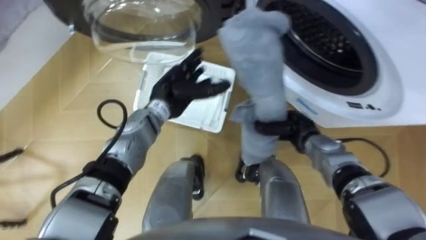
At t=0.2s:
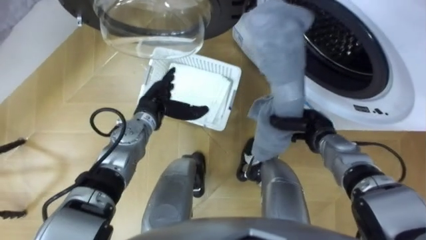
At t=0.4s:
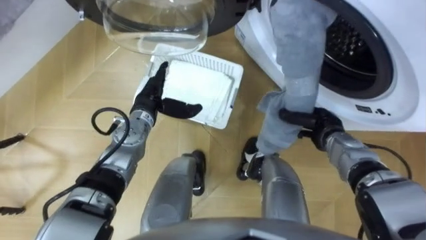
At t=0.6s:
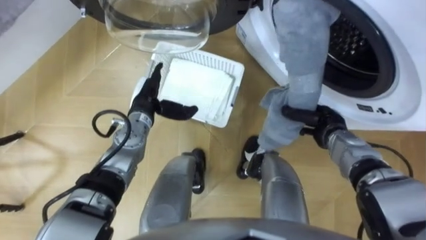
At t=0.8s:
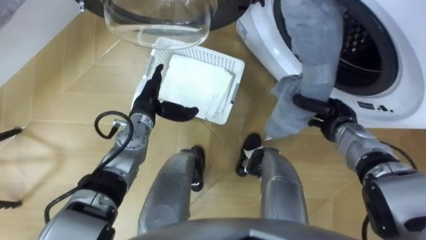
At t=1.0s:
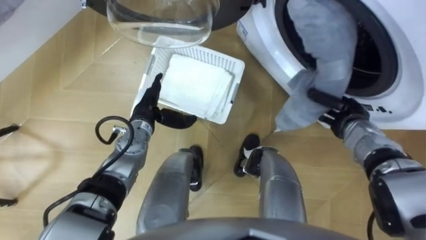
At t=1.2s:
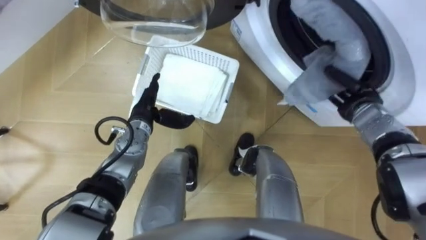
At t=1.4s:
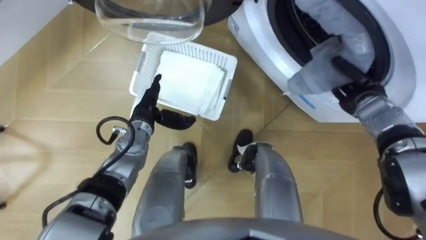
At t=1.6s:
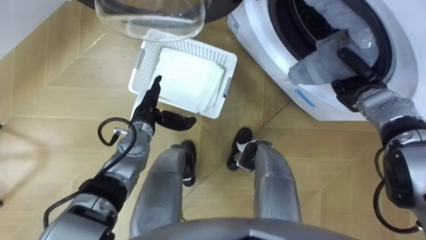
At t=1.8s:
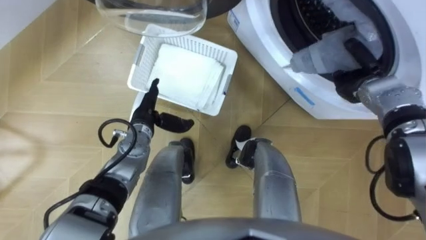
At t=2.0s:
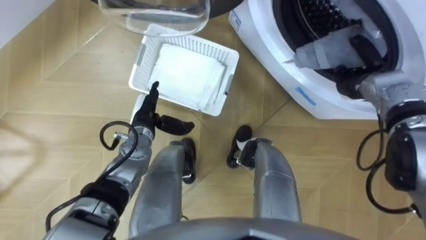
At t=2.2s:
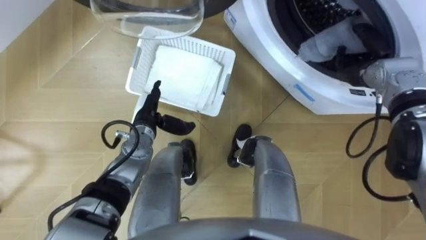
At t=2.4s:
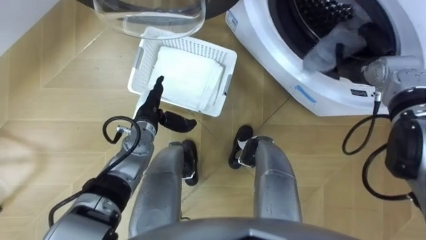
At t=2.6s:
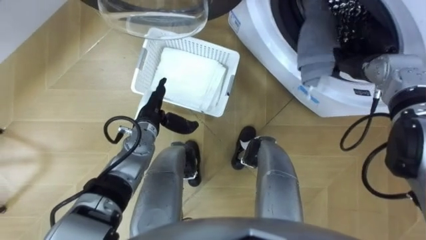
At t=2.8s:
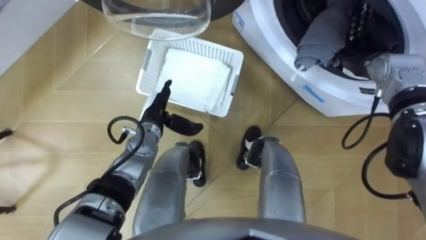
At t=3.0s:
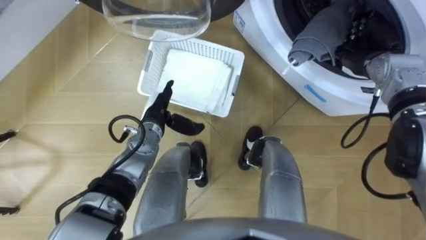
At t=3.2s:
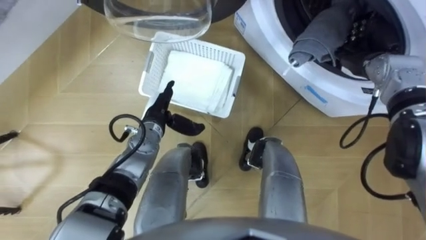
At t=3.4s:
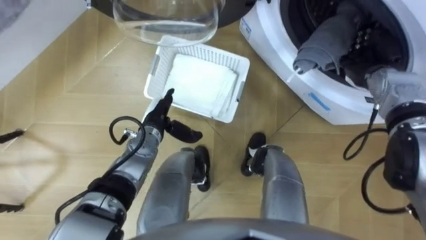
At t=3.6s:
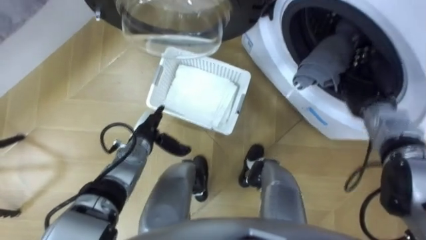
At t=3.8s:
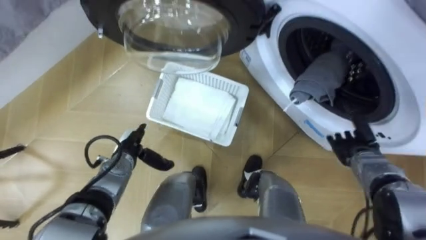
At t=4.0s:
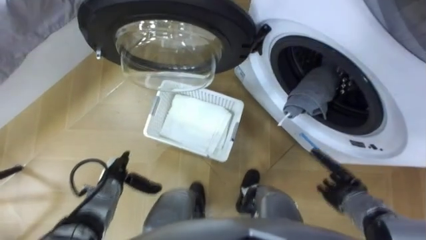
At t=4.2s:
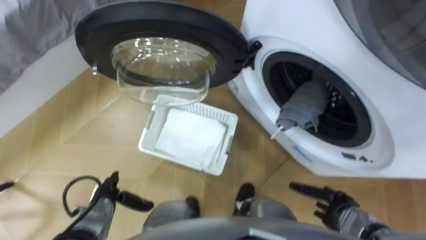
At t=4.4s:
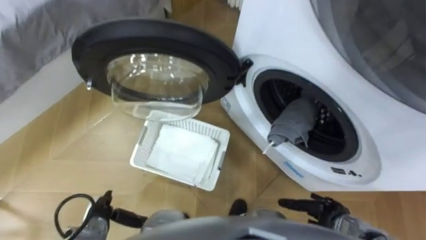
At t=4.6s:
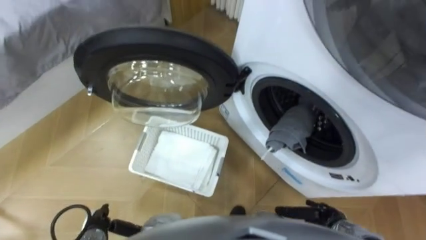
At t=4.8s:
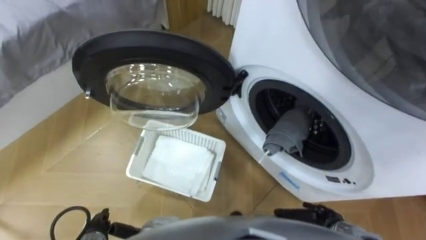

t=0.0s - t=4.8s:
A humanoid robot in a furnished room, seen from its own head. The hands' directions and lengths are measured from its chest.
Task of the whole recording: Take the towel from the basket and put it into the washing machine.
t=0.0s - t=1.6s: The left hand goes approximately 10 cm to the left and downward. The right hand heads to the right, upward and forward, covering roughly 15 cm.
t=1.6s - t=3.2s: The right hand moves upward, about 5 cm, and opens.
t=3.2s - t=4.8s: The right hand goes roughly 40 cm backward and downward. Meanwhile the left hand travels backward, to the left and downward by roughly 30 cm.

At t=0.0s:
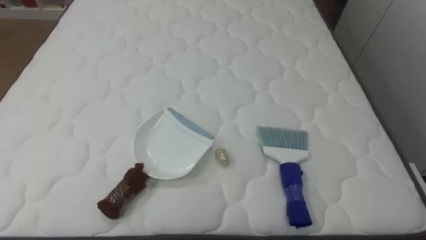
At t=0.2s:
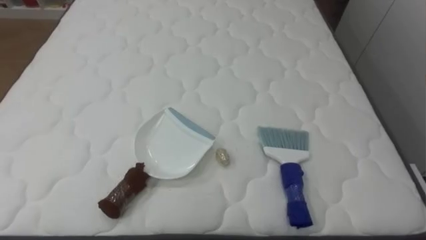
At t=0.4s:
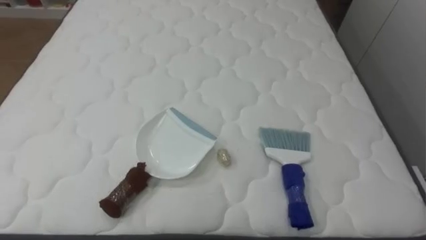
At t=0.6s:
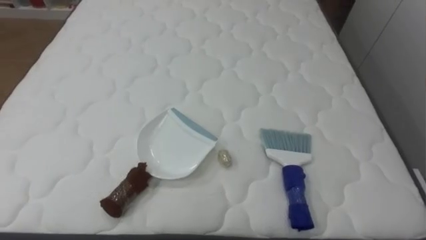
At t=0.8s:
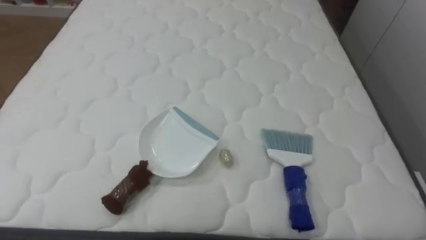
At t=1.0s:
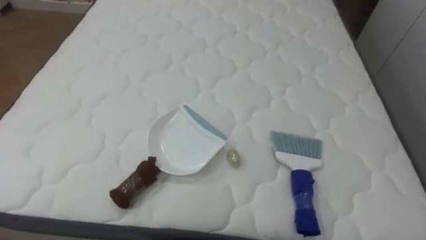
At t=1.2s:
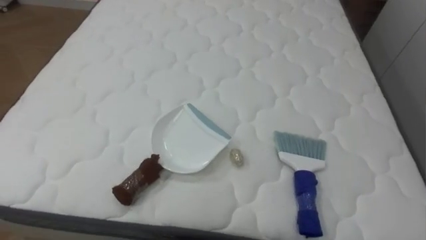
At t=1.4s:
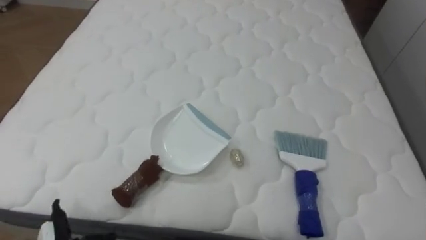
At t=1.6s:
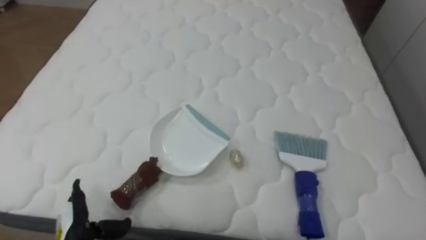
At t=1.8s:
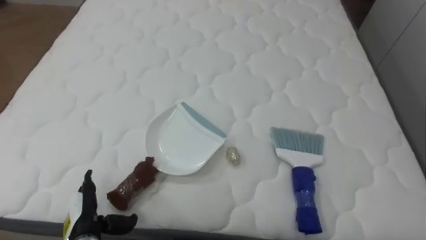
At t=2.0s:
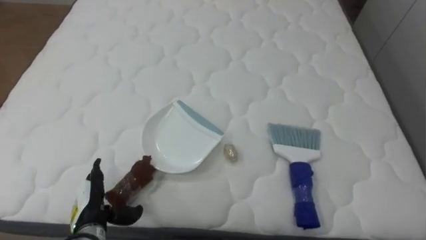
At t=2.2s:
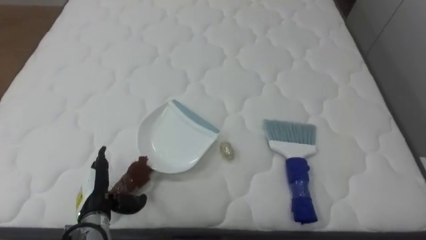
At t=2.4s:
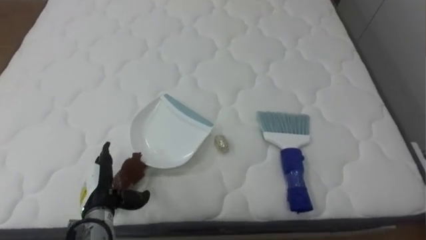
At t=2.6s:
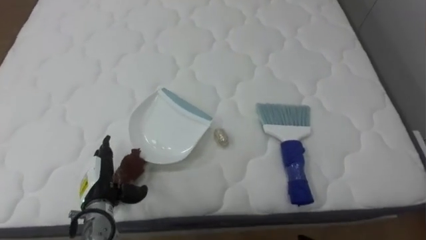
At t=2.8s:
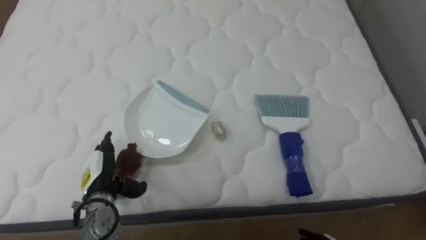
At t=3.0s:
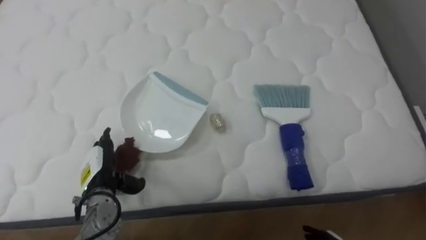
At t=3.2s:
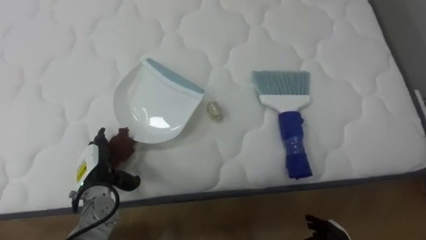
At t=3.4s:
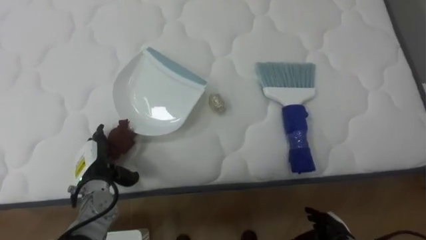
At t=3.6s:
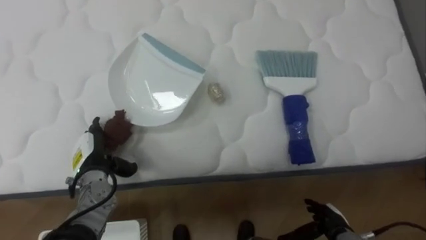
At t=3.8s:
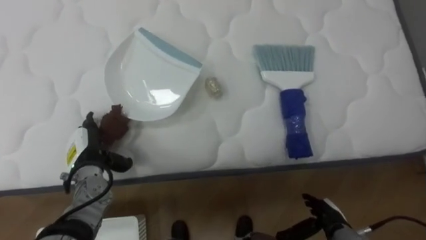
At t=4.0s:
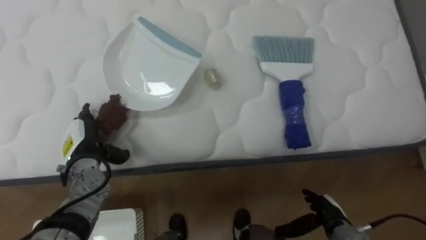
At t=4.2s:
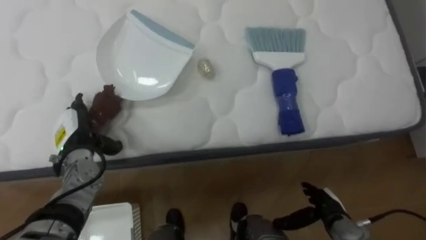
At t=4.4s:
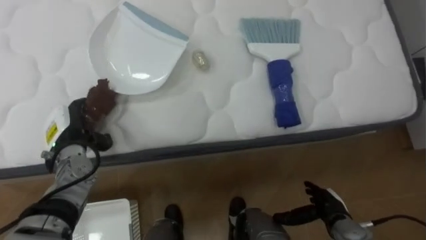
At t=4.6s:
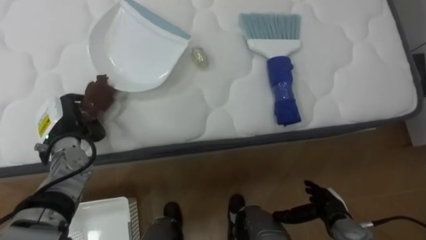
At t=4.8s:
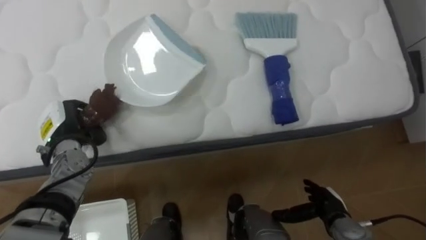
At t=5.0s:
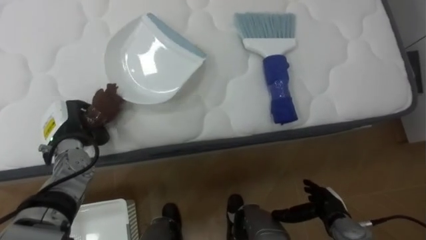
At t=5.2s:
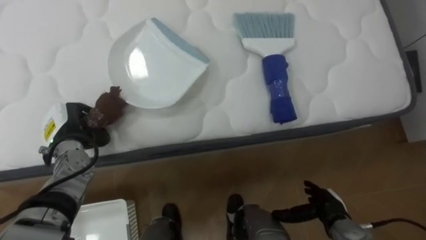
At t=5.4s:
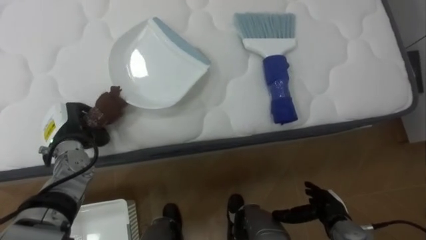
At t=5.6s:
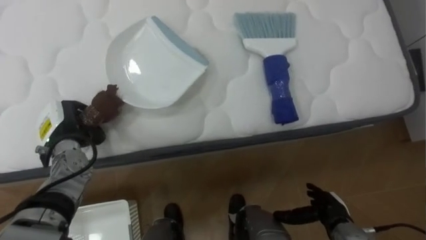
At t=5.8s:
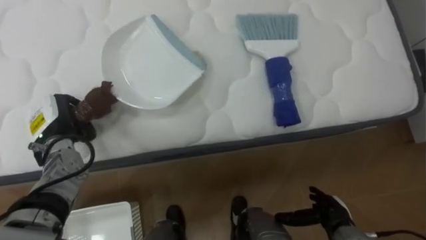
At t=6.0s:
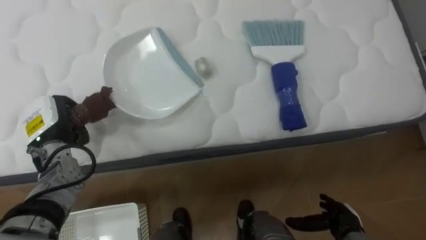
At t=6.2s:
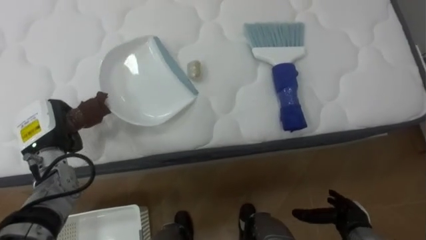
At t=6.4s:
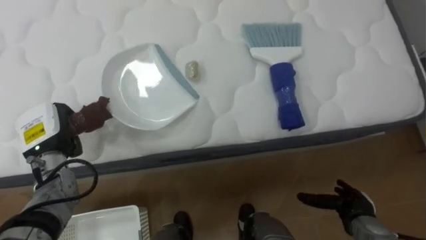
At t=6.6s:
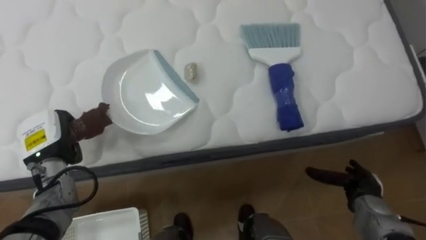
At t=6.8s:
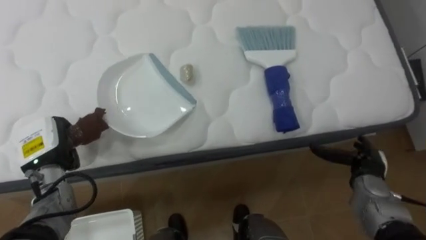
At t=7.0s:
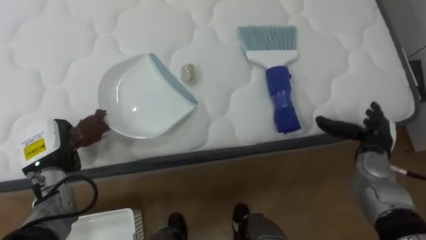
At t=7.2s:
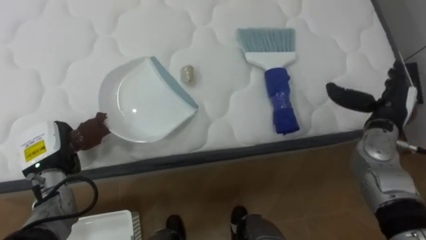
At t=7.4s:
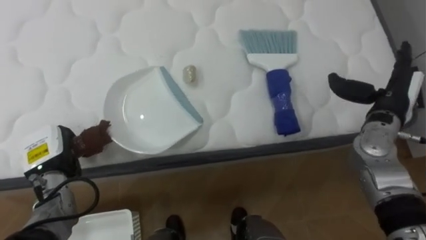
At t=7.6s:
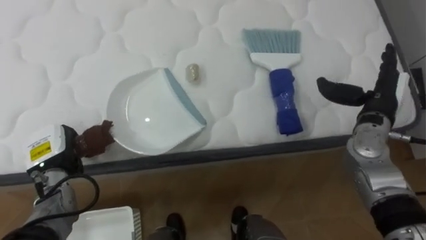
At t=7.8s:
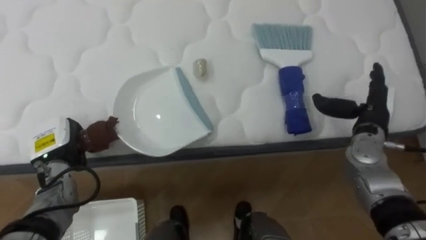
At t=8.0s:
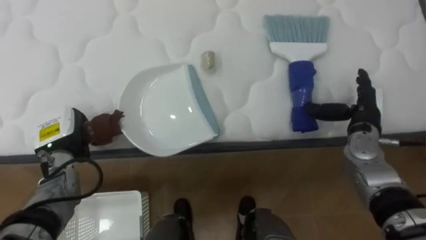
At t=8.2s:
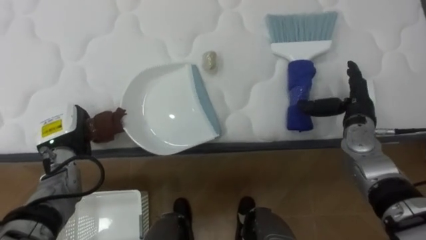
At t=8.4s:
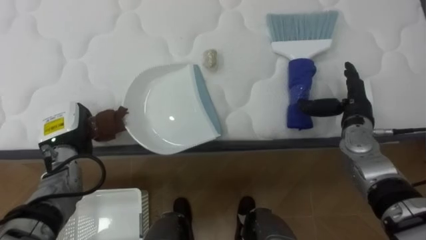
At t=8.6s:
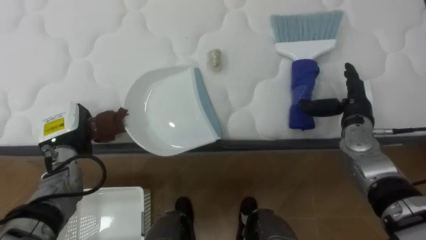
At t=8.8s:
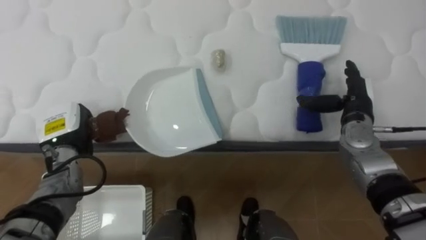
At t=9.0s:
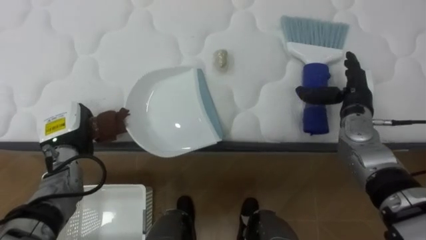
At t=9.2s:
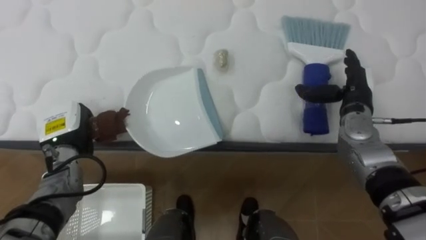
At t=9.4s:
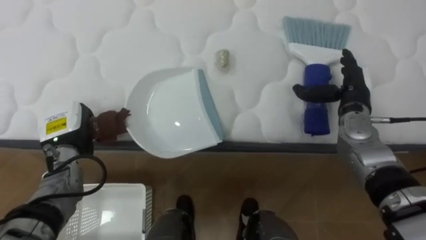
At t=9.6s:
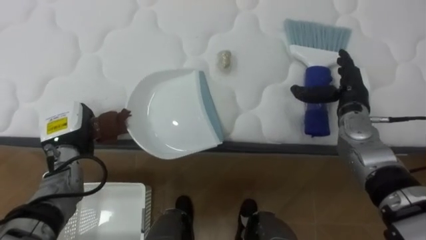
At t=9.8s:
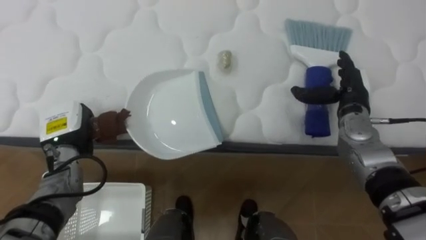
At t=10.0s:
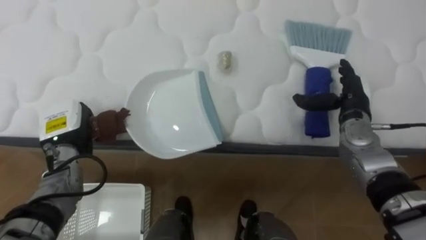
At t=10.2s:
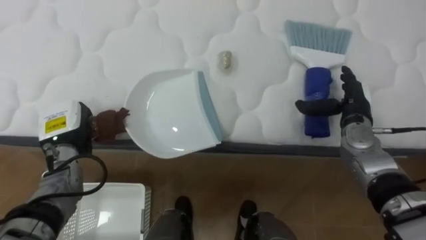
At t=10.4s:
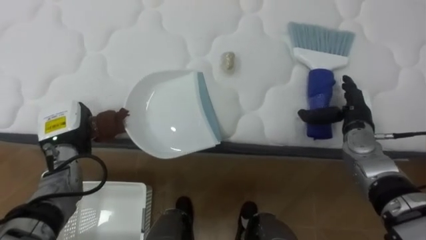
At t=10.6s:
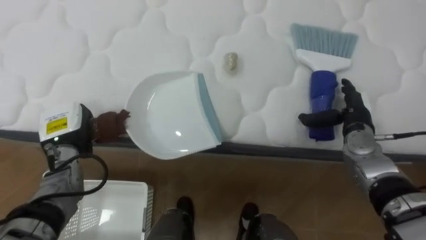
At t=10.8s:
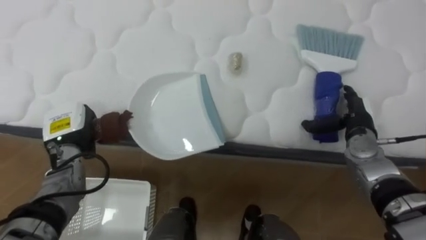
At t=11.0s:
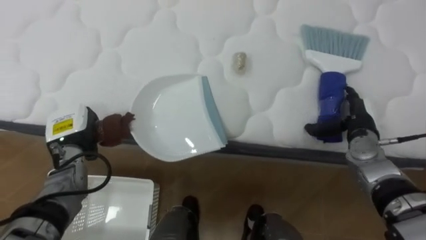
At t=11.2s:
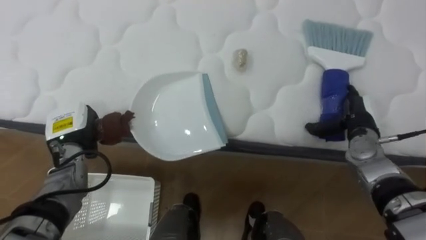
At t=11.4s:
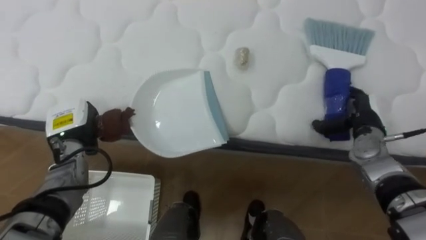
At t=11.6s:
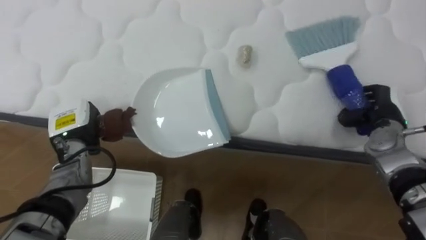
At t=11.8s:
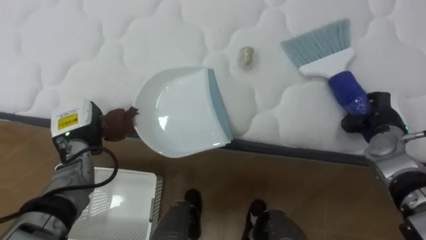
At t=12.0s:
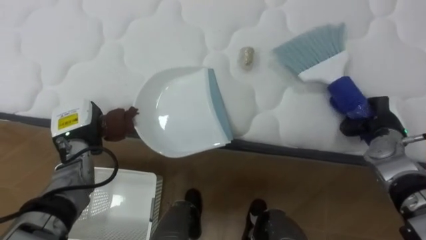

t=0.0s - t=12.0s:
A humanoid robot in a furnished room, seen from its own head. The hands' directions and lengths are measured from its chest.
Task of the whole recording: Pick up the brush on your right and the dustpan on your left. Use the brush to sweep the crumpled paper on the bed into the dustpan, then turn left and empty it into the basket.
t=1.6s - t=3.0s: The left hand moves forward, roughly 10 cm.
t=3.0s - t=4.4s: The left hand shifts roughly 10 cm forward, upward and to the left.
t=4.4s - t=6.0s: The left hand closes.
t=6.0s - t=7.6s: The right hand travels upward and forward by approximately 30 cm; the left hand moves about 5 cm.
t=7.6s - t=9.0s: The left hand moves roughly 5 cm, while the right hand changes place by roughly 5 cm.
t=10.4s - t=12.0s: The right hand moves to the right, about 5 cm, and closes its fingers.
